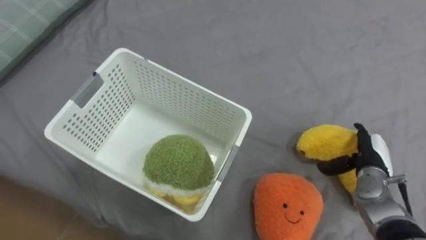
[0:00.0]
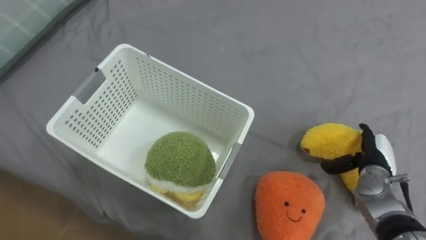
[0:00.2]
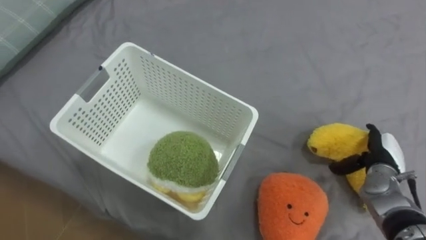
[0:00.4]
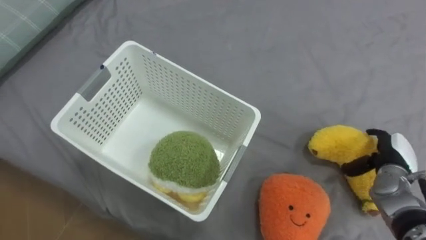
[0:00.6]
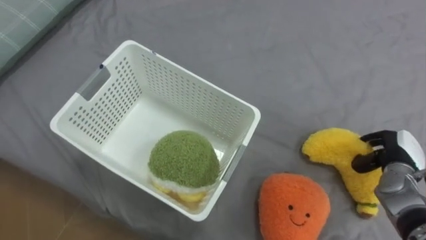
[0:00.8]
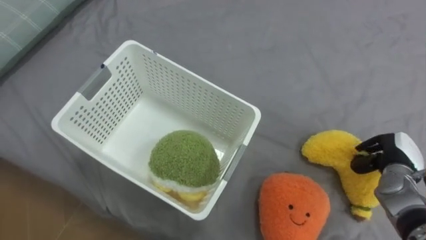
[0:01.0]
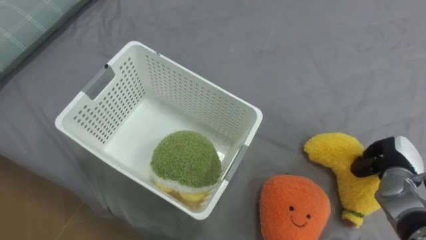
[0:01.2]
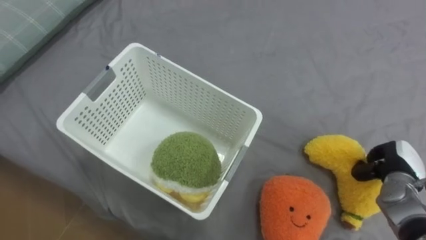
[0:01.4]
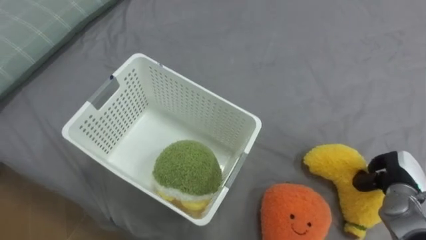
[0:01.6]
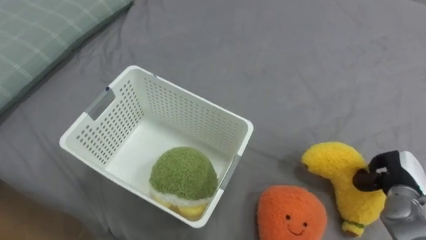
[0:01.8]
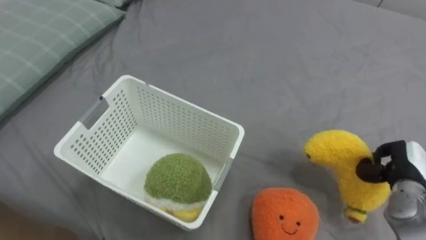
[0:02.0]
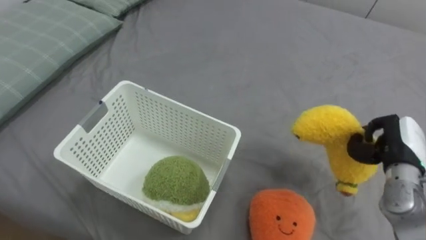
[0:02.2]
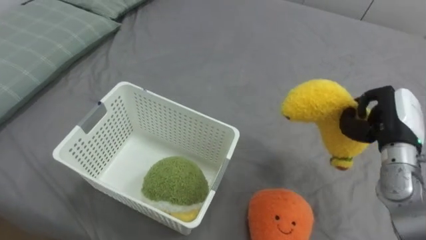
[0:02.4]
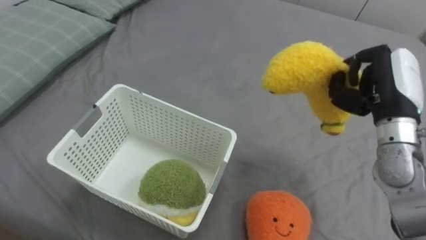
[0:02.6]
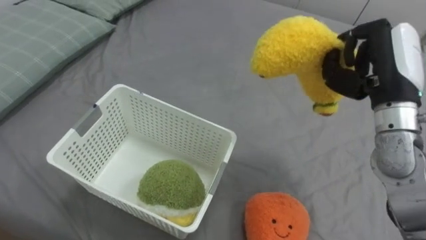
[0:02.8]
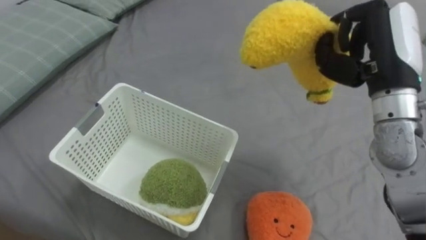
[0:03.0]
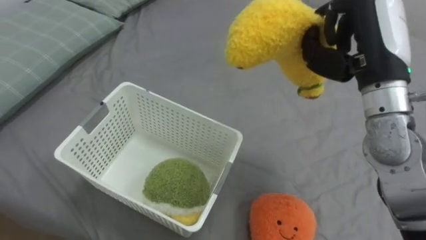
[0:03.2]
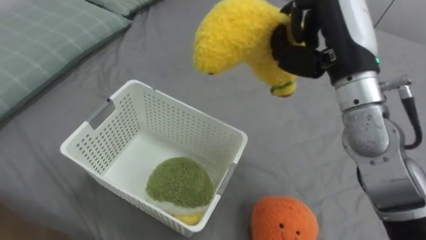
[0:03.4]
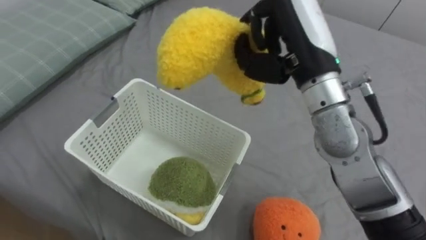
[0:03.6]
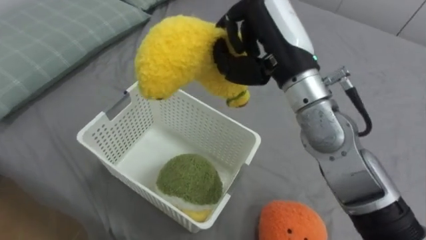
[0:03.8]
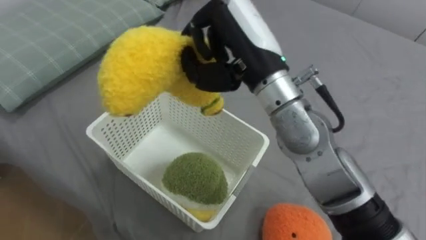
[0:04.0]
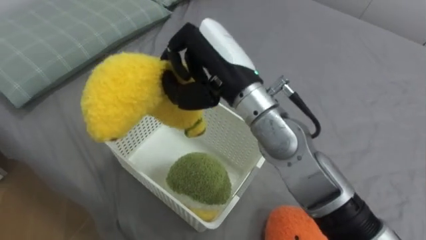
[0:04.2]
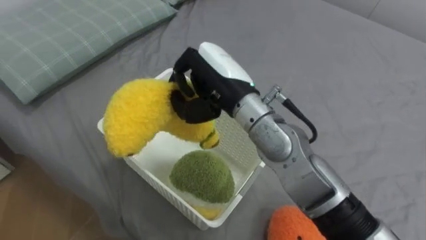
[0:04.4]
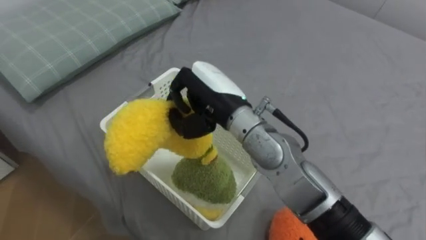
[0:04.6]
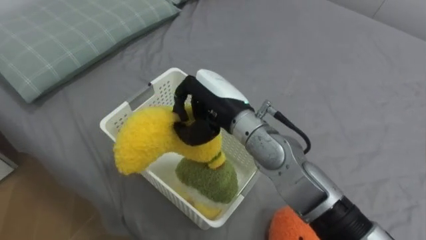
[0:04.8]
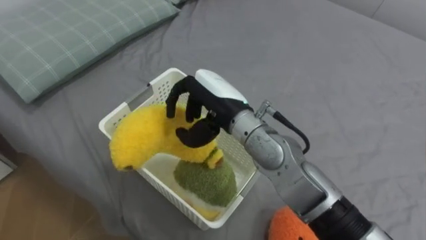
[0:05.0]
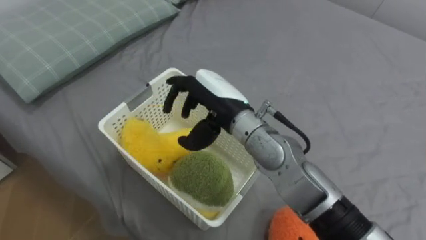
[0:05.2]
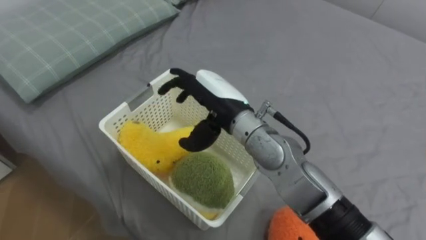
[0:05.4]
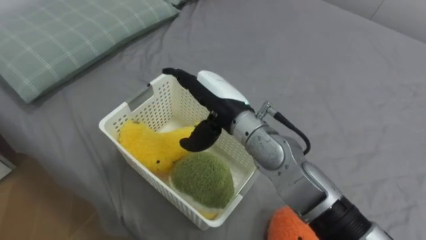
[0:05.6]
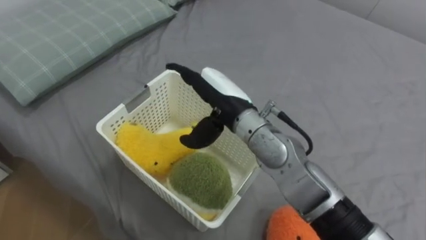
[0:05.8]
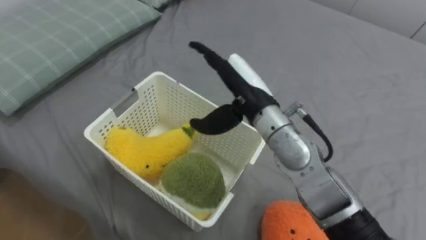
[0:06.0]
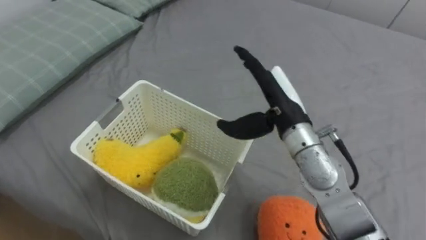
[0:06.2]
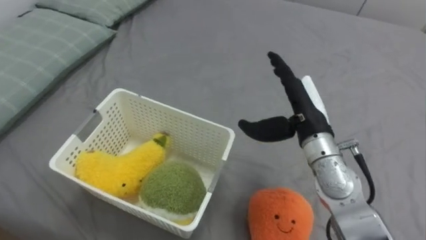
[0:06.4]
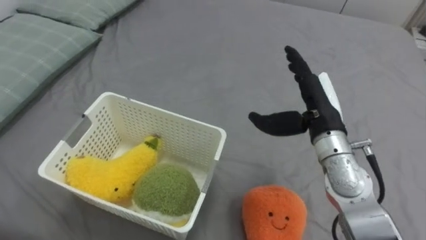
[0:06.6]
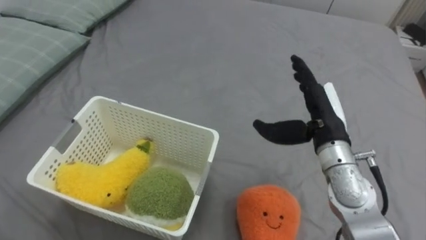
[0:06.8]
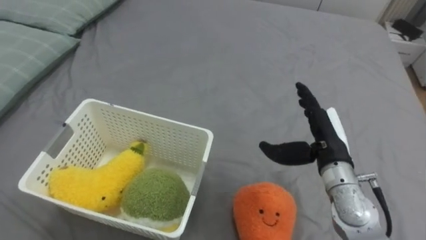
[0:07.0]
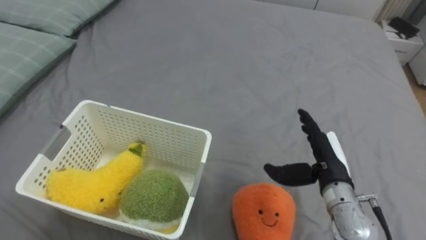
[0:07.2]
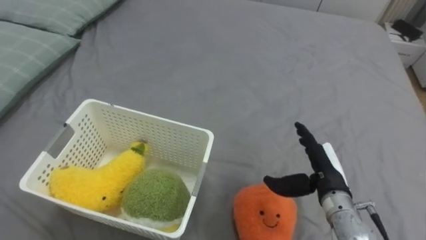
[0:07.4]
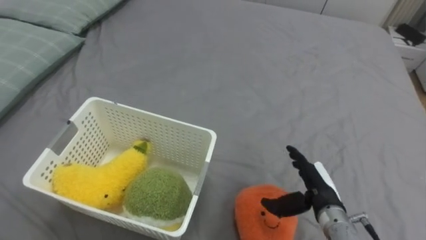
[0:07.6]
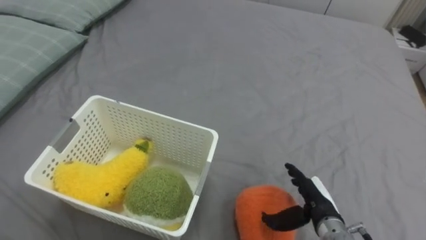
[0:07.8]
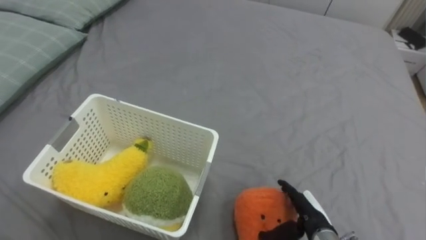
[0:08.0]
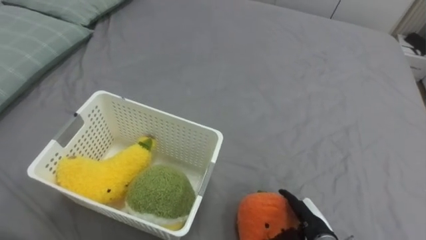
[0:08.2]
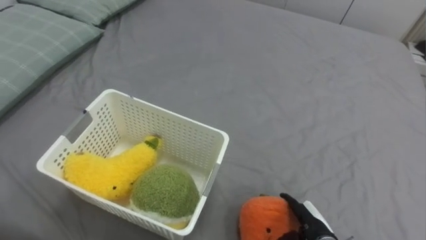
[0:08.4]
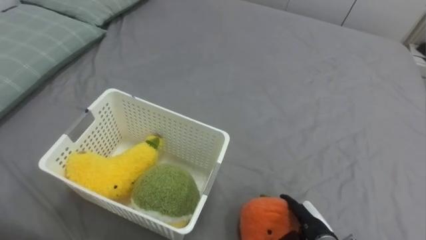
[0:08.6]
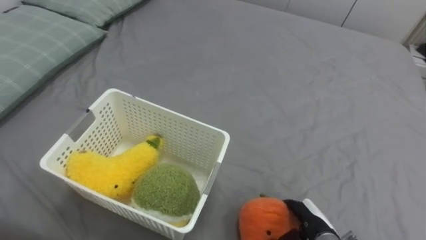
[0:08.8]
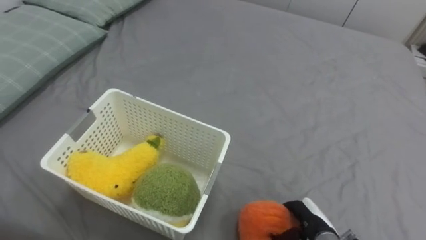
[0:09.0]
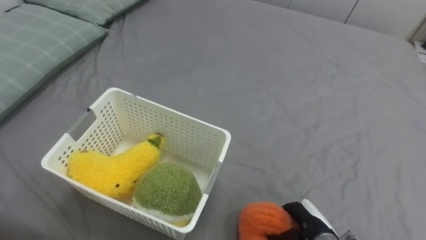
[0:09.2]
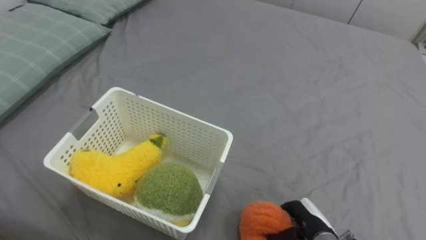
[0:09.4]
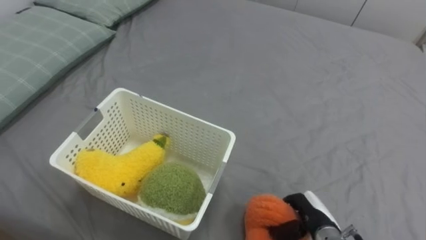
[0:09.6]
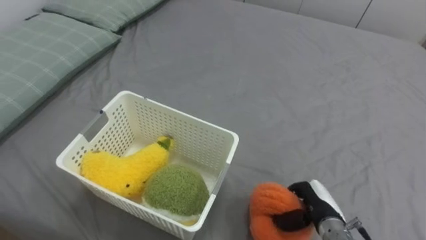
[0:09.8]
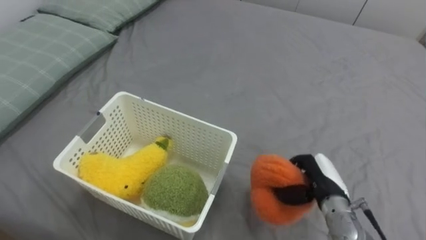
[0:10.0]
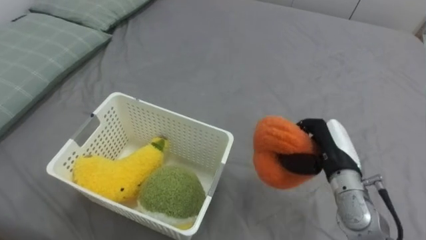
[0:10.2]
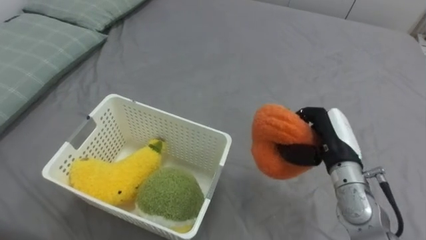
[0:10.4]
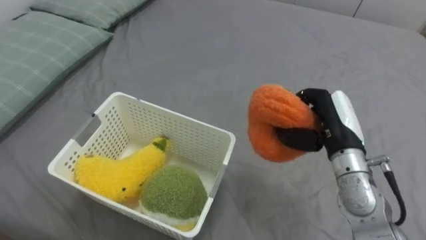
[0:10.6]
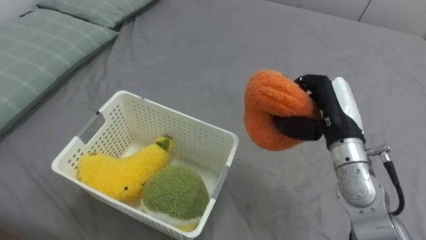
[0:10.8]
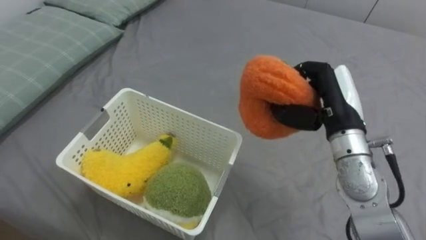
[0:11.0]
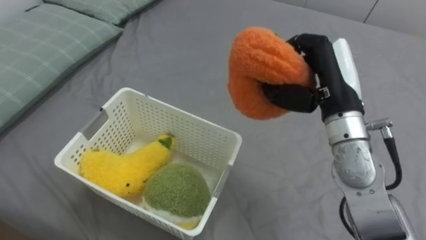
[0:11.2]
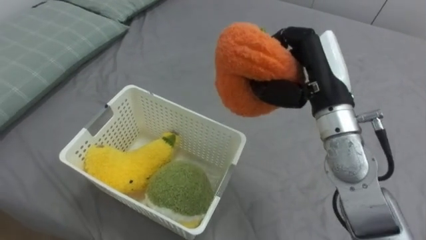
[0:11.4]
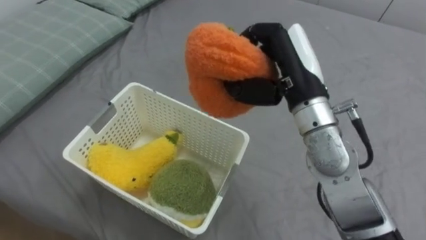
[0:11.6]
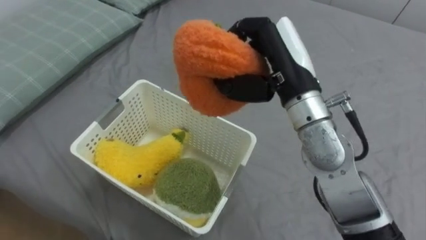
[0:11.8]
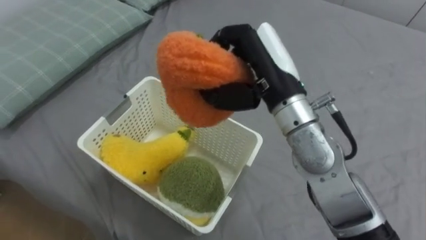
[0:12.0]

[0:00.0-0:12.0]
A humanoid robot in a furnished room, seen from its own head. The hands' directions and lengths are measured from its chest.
Task of the whole recording: Put the toys on the bed into the basket on the left.
0:00.0 to 0:01.6: The right hand shifts roughly 5 cm to the right, and closes up.
0:01.6 to 0:03.0: The right hand goes roughly 30 cm upward and to the left.
0:03.0 to 0:04.4: The right hand travels to the left by approximately 25 cm.
0:04.4 to 0:06.0: The right hand opens its fingers.
0:06.0 to 0:07.6: The right hand goes roughly 25 cm downward, to the right and backward.
0:07.6 to 0:09.0: The right hand is displaced downward by roughly 10 cm, and closes.
0:09.0 to 0:10.4: The right hand moves upward and forward, approximately 20 cm, and closes.
0:10.4 to 0:12.0: The right hand shifts some 20 cm upward and to the left.

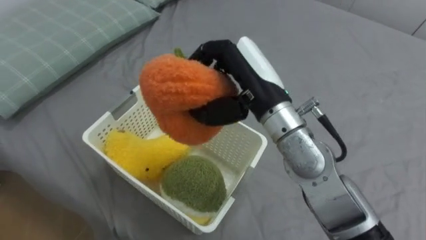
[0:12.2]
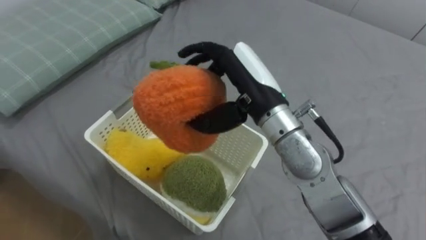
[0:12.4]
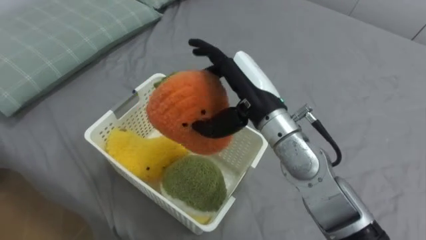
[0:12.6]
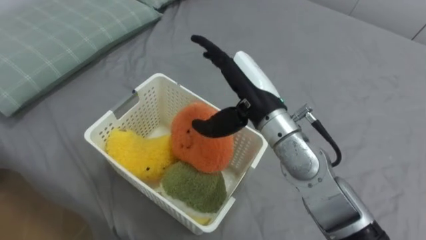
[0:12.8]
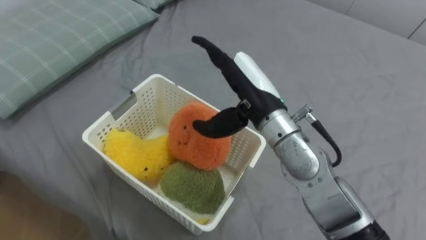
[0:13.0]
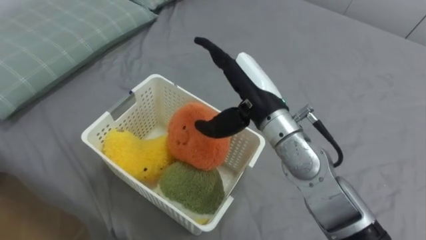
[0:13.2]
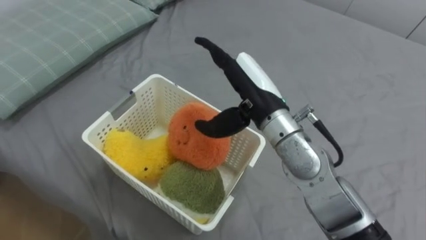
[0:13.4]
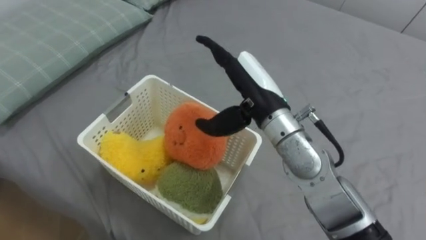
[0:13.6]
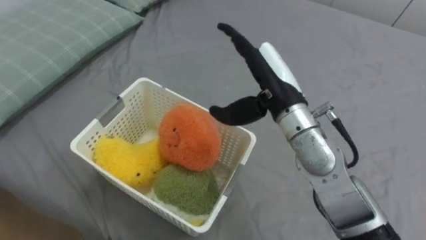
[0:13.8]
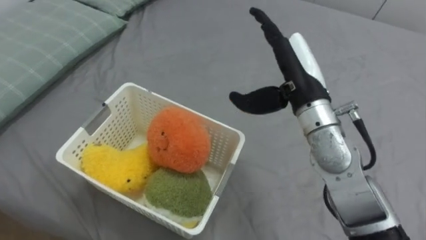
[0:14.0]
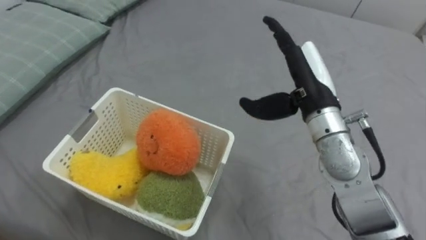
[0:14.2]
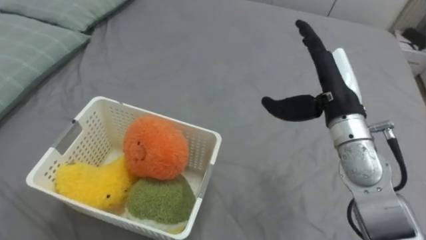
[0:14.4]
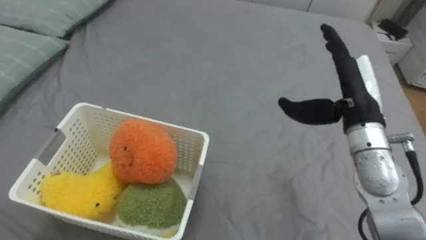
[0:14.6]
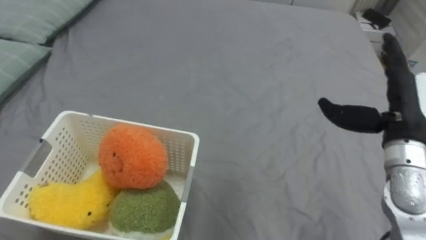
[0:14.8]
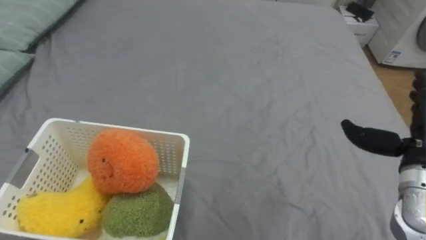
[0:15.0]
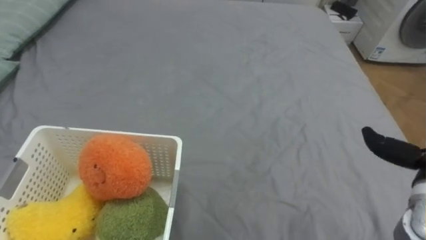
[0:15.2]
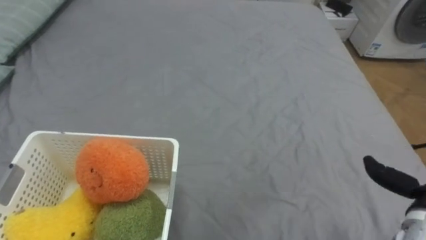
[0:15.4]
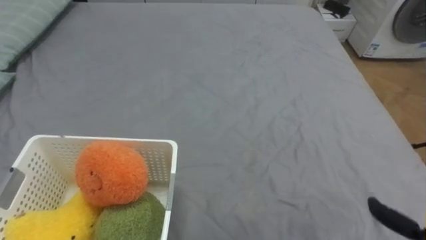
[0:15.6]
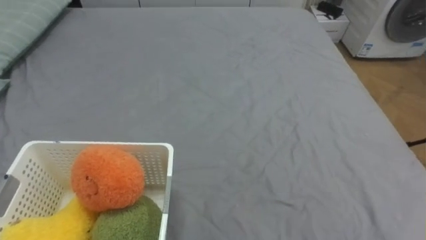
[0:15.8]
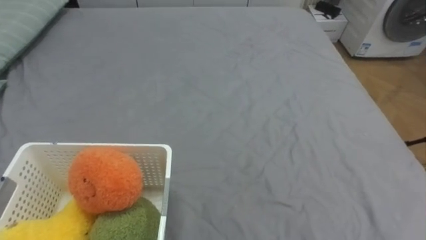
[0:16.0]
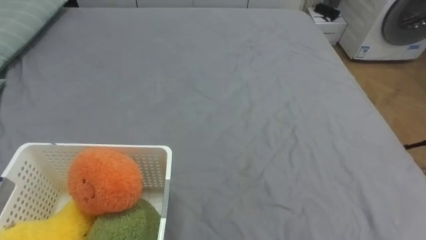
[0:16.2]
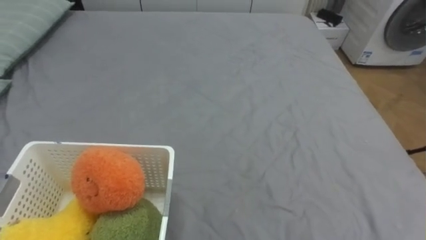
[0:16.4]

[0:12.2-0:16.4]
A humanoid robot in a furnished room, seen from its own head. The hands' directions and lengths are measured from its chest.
Task of the whole recording: Put the toys on the bed into the basket on the left.
0:12.2 to 0:13.6: The right hand opens its fingers.
0:13.6 to 0:15.0: The right hand shifts roughly 25 cm to the right.
